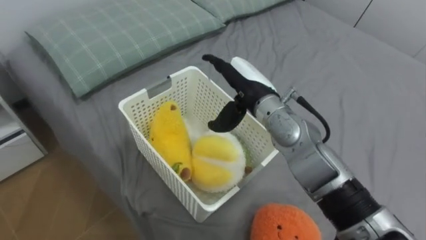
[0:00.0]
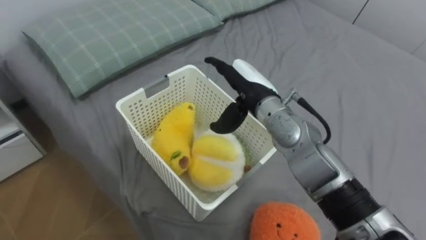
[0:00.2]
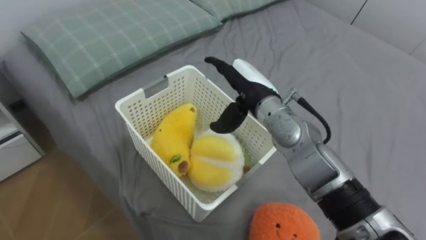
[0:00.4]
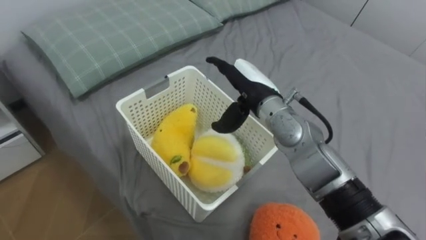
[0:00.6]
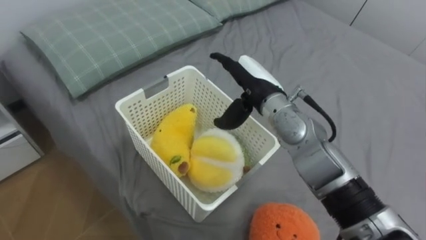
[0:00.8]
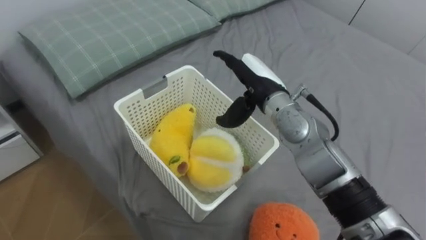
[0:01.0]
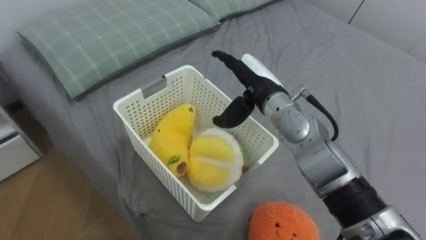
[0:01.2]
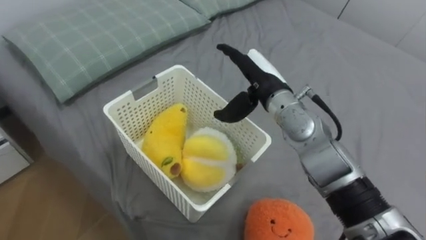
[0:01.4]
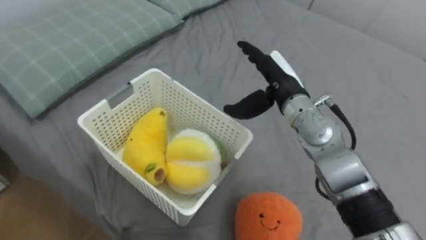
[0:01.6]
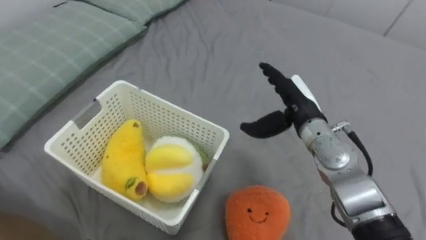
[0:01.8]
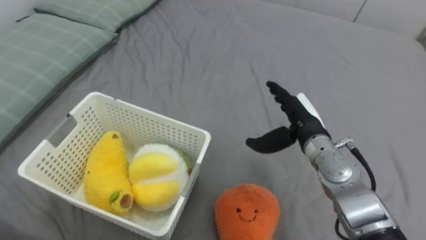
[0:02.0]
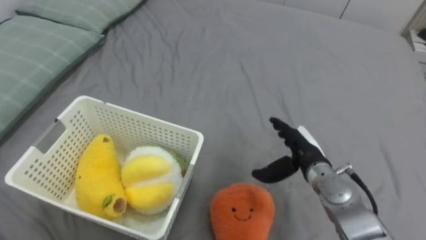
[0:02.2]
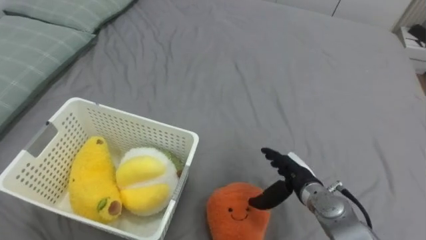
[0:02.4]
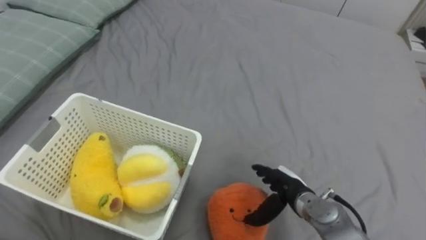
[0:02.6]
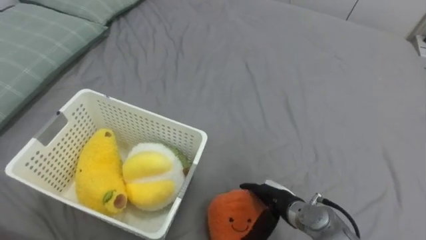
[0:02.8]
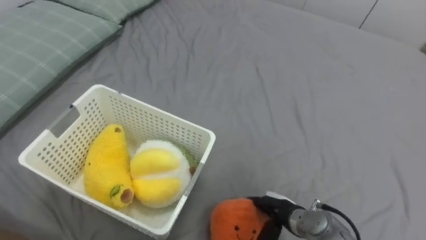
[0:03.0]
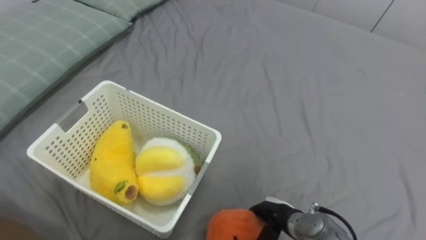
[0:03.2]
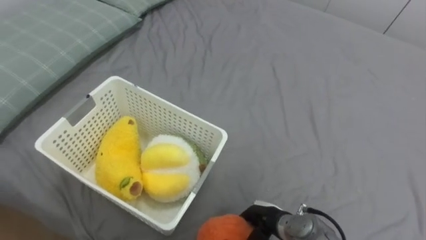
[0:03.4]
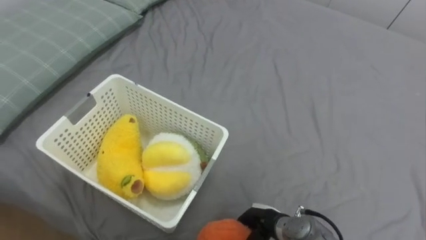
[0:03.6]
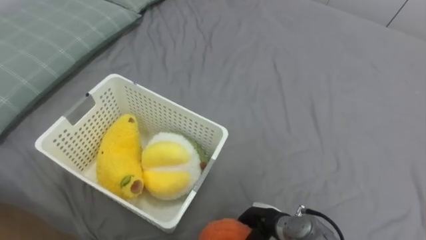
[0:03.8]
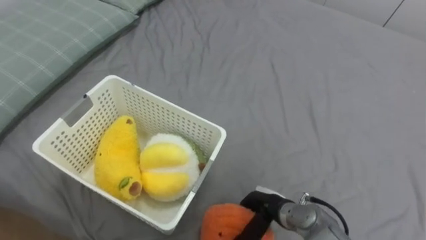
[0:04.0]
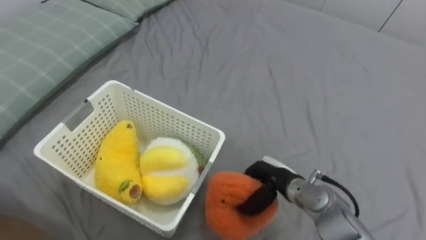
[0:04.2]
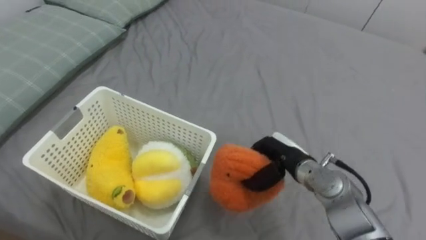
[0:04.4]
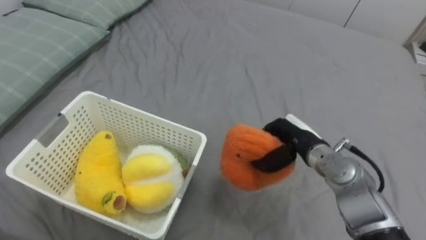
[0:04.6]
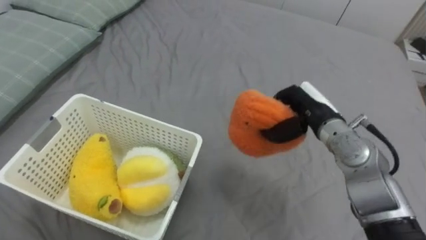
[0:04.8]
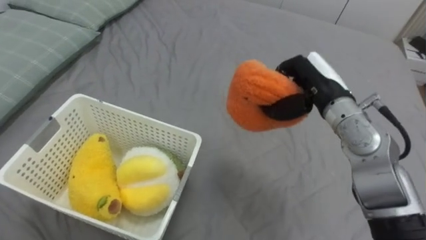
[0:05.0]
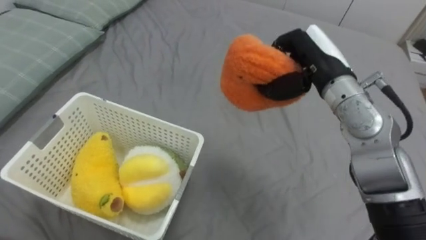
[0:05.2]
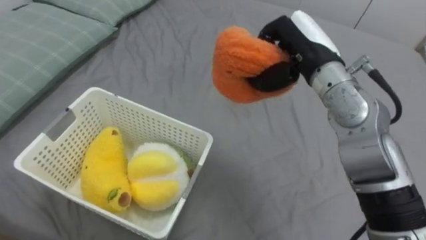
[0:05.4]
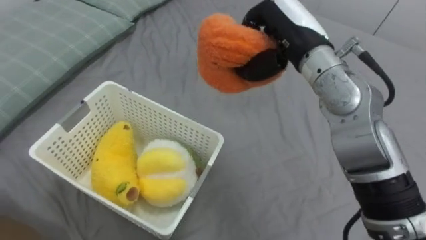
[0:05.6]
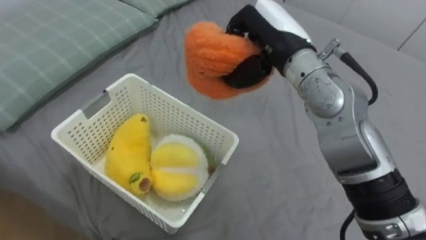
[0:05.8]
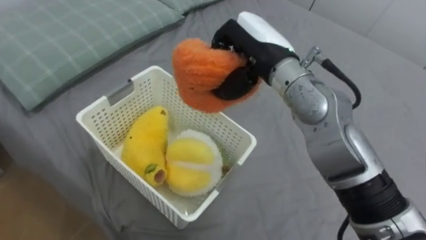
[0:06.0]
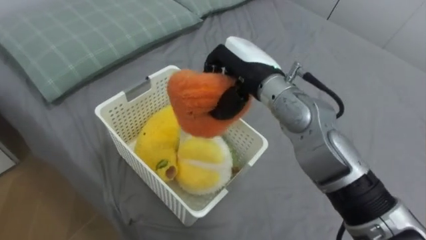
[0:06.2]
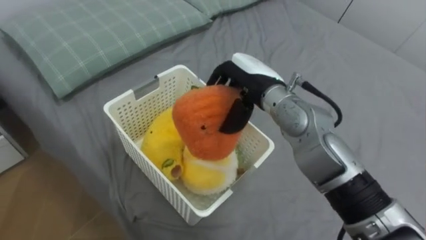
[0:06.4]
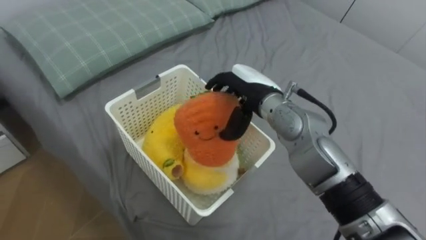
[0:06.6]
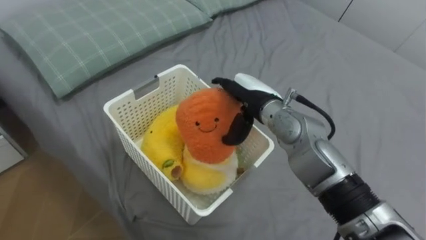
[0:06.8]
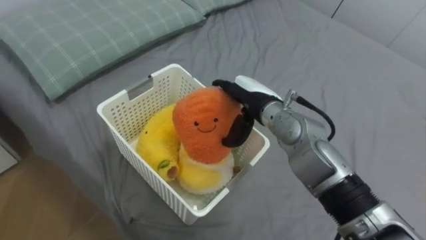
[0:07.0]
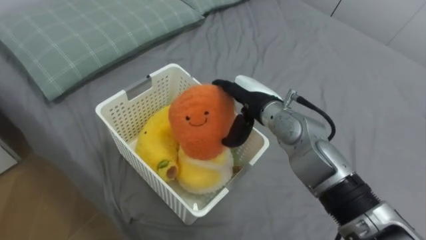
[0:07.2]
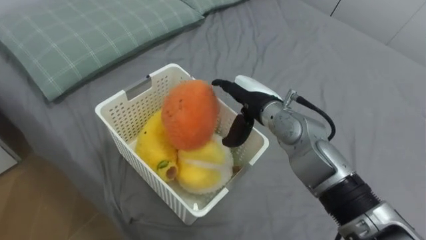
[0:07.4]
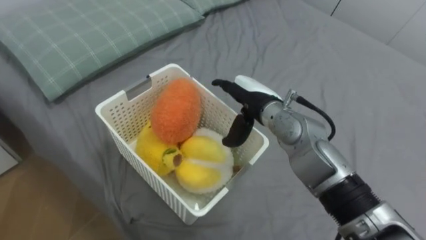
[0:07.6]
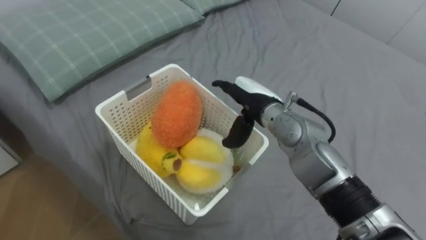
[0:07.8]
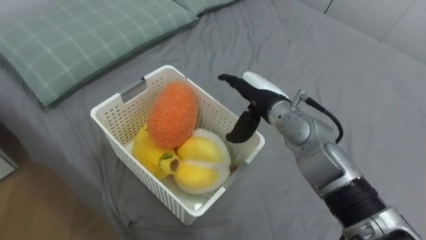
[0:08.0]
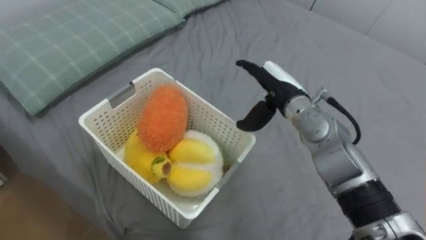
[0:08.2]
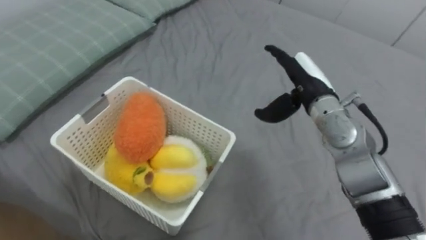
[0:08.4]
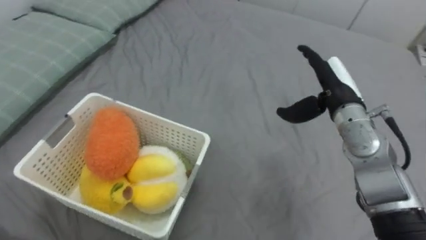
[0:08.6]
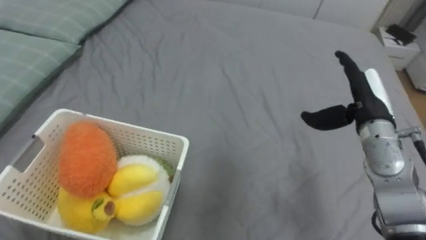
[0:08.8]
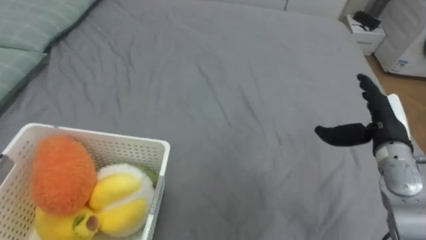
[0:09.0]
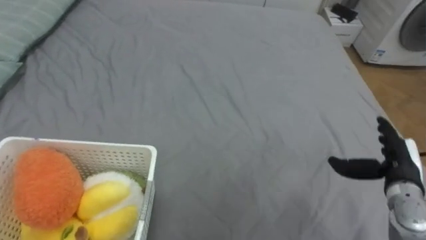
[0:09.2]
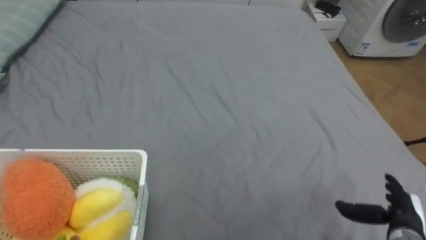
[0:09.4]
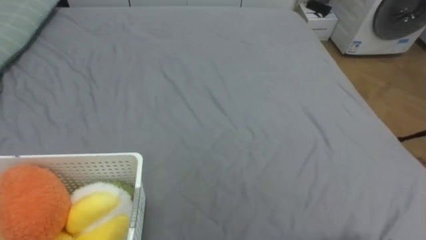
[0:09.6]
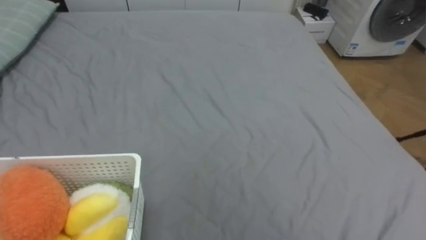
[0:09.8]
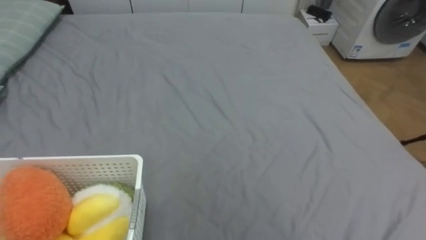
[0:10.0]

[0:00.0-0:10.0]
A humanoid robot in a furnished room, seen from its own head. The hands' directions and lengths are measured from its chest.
Task of the whole recording: Put the toys on the bed into the basket on the left.
0:01.4 to 0:02.8: The right hand travels downward and backward by some 25 cm.
0:02.8 to 0:04.2: The right hand closes its fingers.
0:04.2 to 0:05.8: The right hand goes roughly 30 cm upward.
0:05.8 to 0:07.2: The right hand travels downward by some 15 cm, and opens up.
0:07.2 to 0:08.6: The right hand travels to the right by some 15 cm.

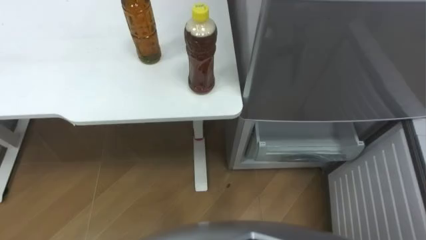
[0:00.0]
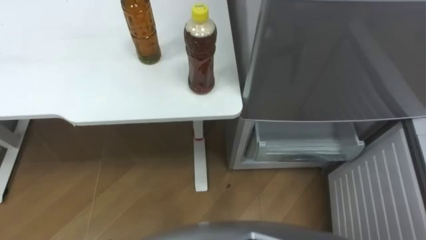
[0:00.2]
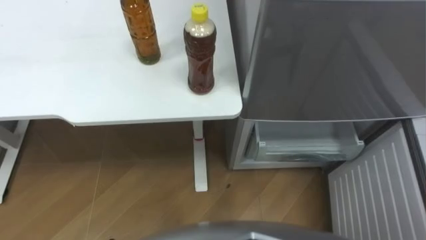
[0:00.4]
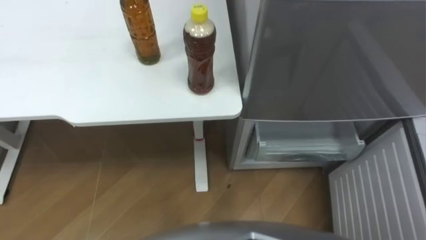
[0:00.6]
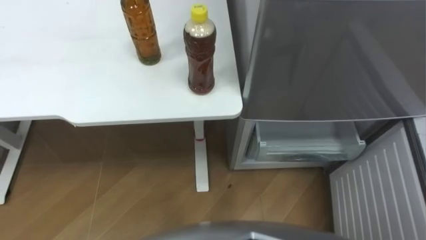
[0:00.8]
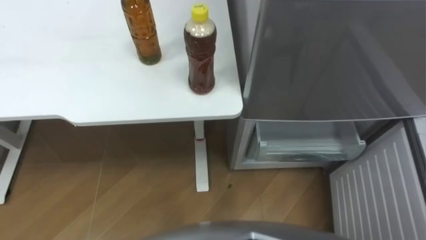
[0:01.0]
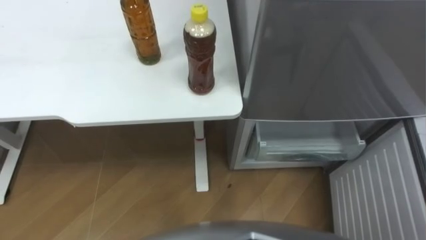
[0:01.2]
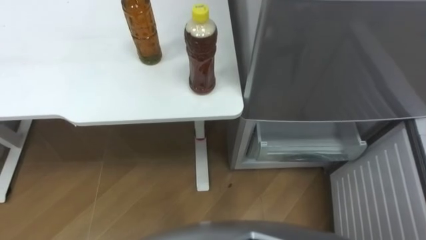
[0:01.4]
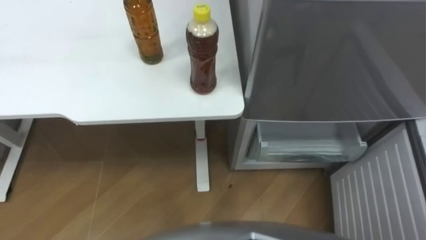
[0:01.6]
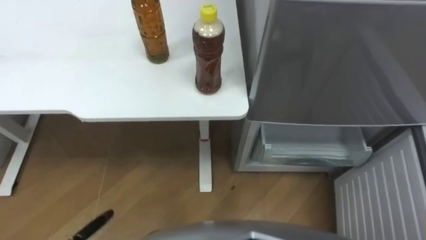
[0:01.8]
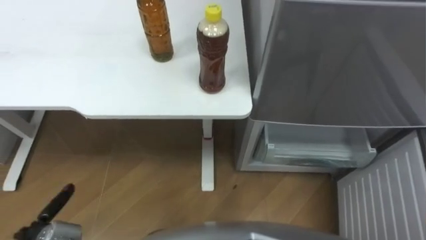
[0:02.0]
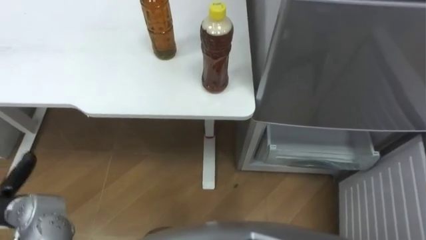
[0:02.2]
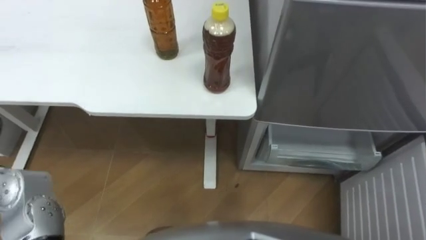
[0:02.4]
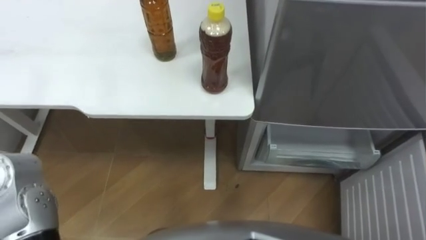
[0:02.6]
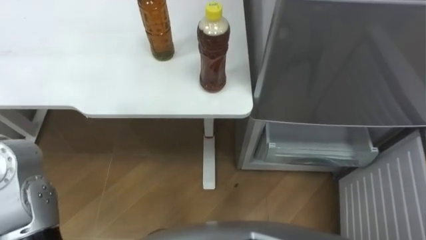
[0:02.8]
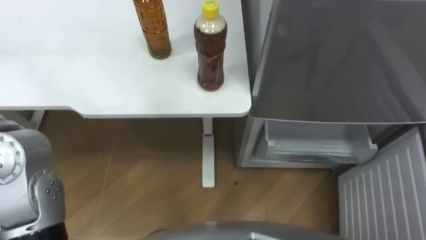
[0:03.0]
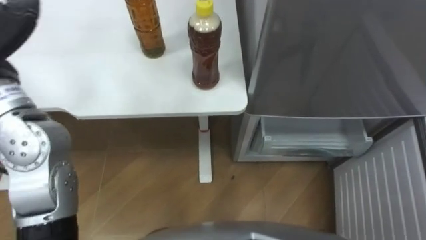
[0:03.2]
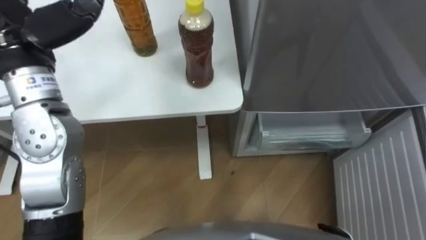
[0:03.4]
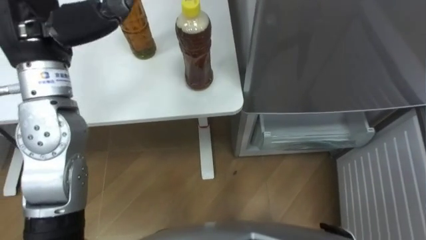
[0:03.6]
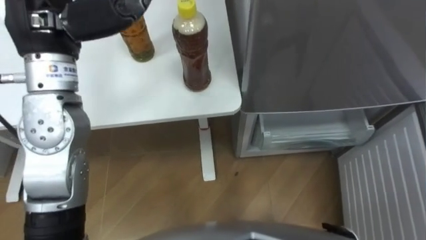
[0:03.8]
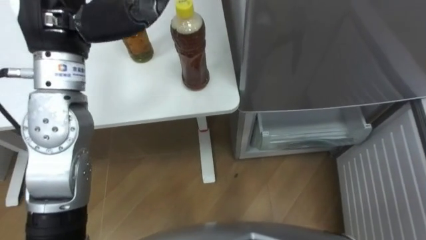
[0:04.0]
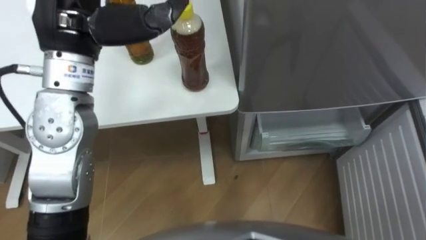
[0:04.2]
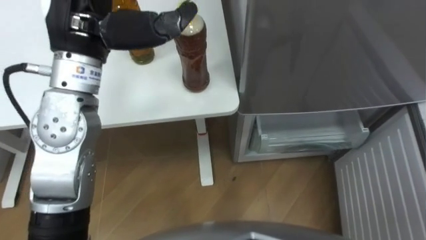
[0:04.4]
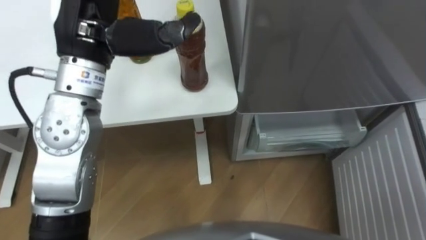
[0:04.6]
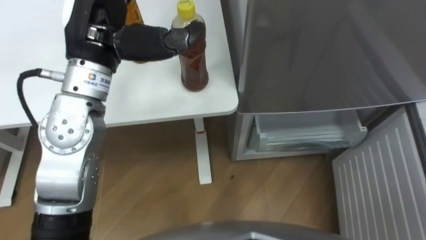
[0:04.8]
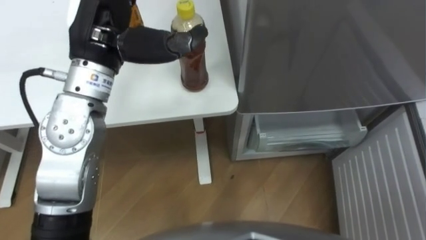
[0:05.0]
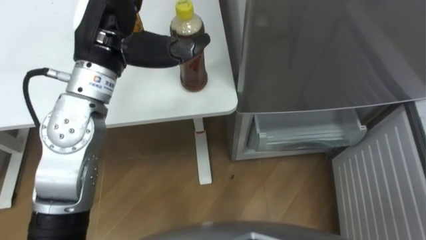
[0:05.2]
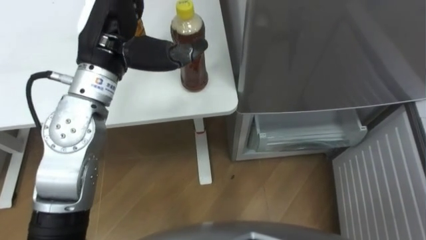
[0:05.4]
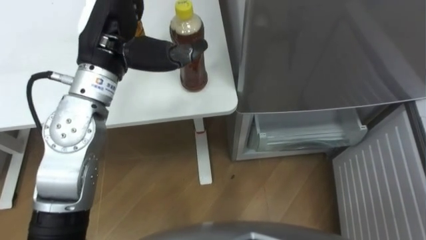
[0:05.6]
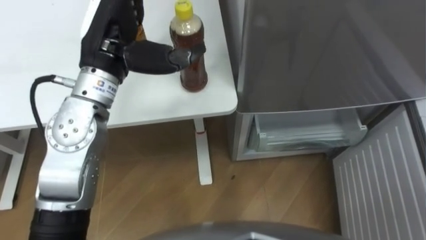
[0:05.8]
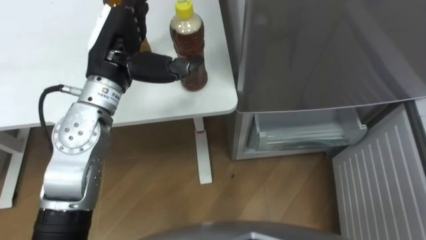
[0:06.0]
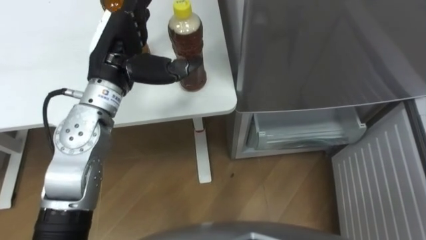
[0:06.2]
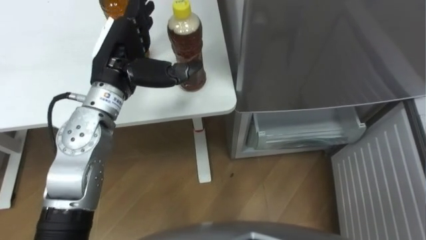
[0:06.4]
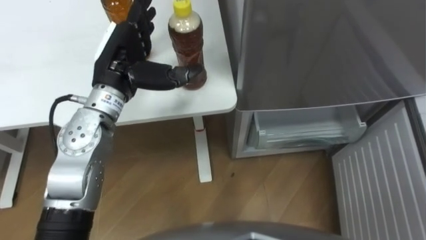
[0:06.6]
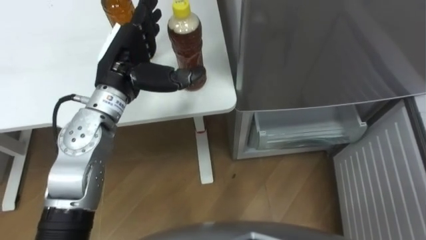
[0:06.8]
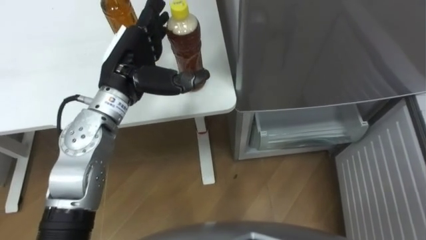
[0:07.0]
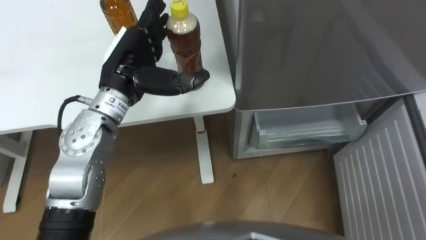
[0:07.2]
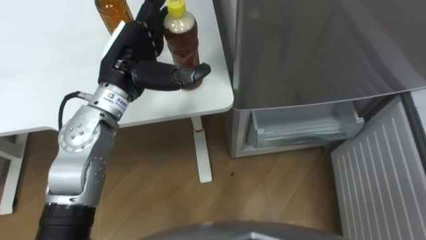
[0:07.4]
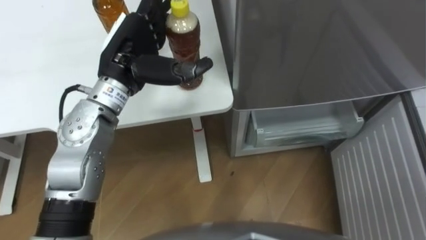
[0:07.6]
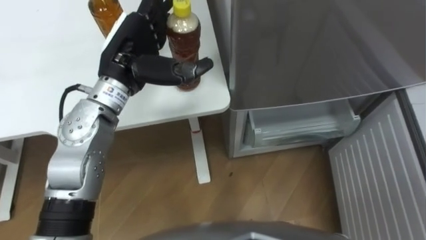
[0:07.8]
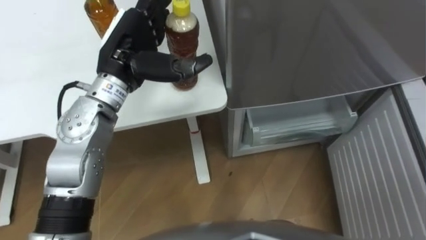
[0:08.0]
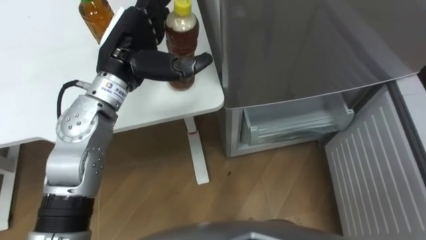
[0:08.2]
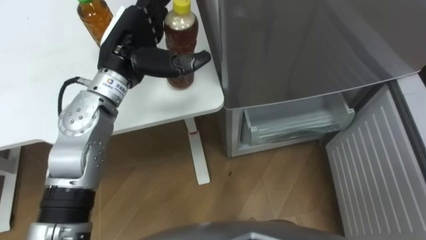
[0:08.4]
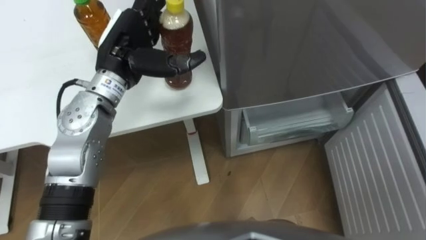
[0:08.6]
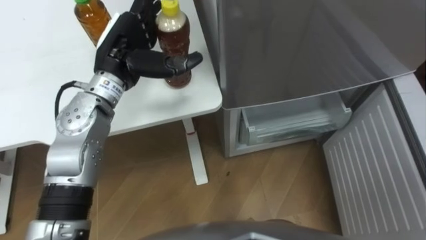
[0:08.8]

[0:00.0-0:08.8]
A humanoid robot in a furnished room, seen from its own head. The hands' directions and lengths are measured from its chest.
Task of the whole recording: Place the drink on the table on the bottom shelf of the refrigerator, then close the drawer and the refrigerator door.
0:04.4 to 0:05.8: The left hand goes roughly 5 cm downward.
0:05.8 to 0:07.4: The left hand travels downward by roughly 5 cm.
